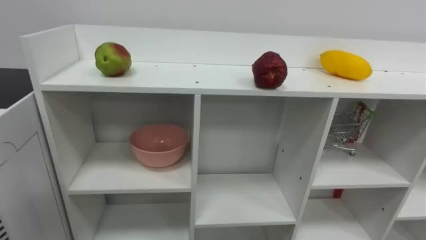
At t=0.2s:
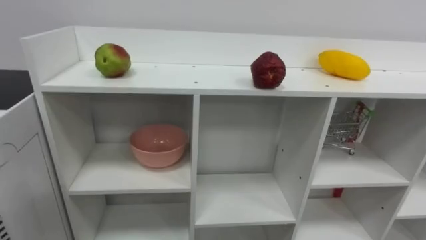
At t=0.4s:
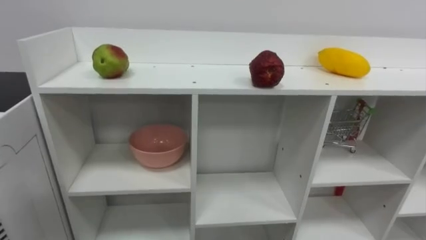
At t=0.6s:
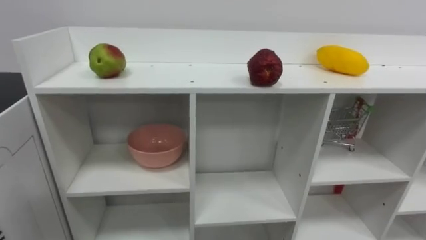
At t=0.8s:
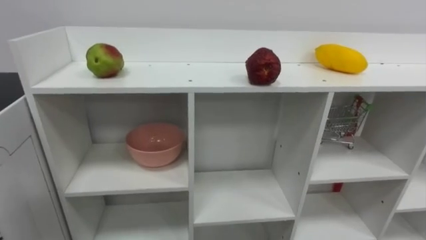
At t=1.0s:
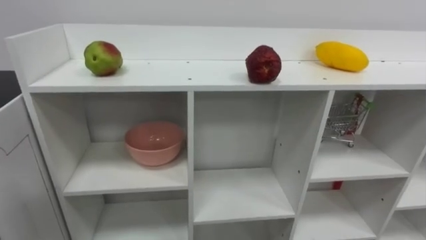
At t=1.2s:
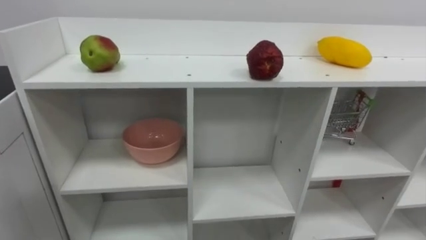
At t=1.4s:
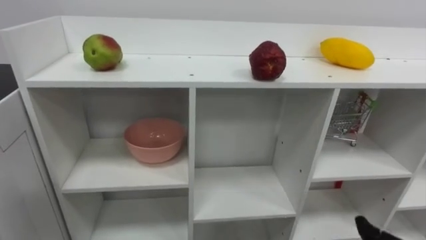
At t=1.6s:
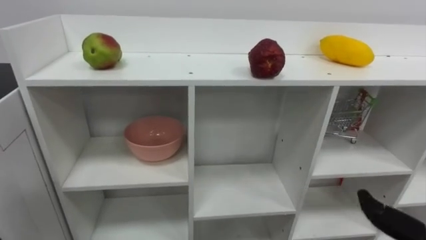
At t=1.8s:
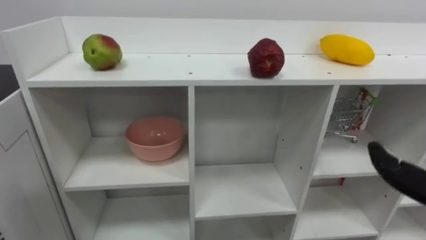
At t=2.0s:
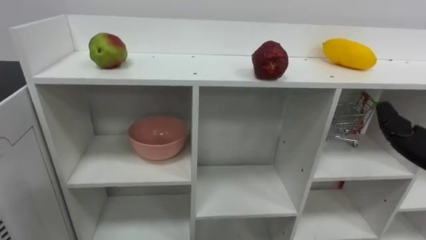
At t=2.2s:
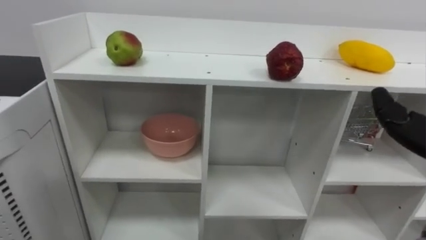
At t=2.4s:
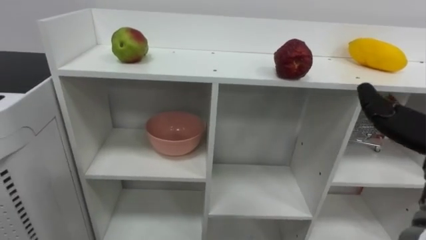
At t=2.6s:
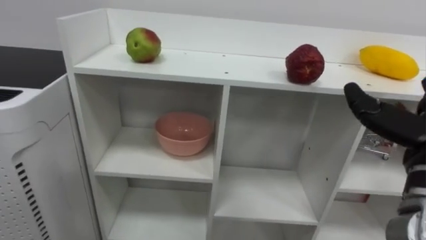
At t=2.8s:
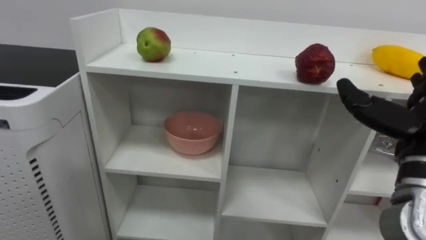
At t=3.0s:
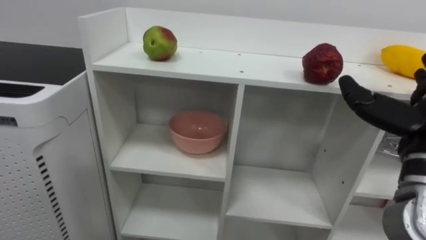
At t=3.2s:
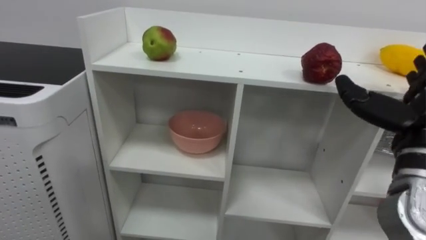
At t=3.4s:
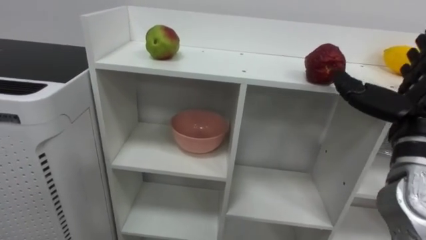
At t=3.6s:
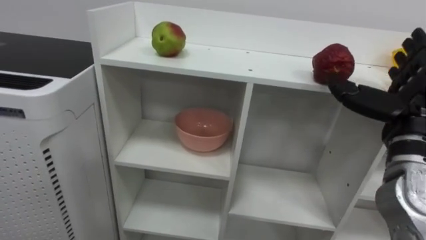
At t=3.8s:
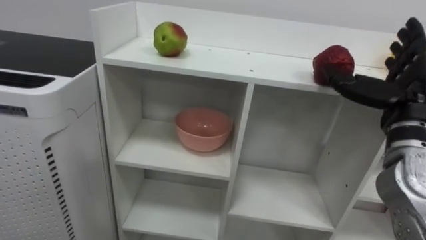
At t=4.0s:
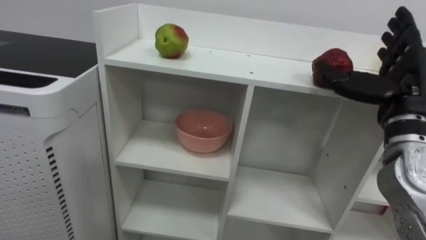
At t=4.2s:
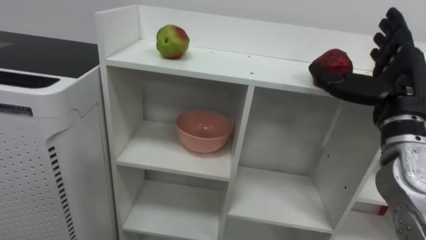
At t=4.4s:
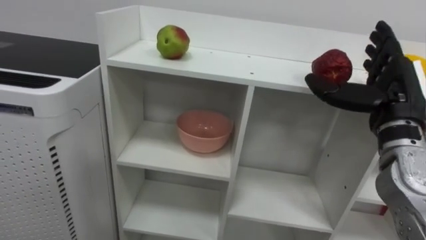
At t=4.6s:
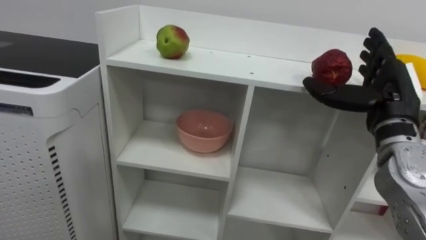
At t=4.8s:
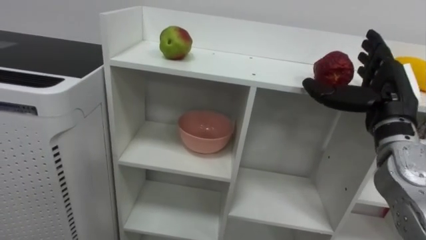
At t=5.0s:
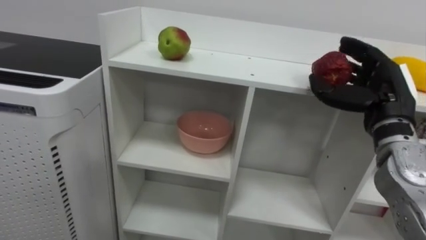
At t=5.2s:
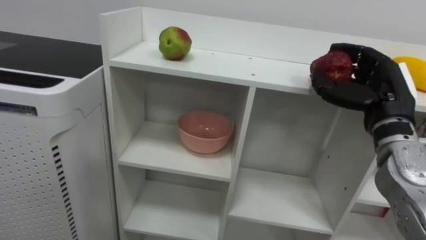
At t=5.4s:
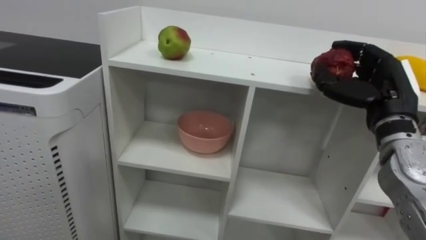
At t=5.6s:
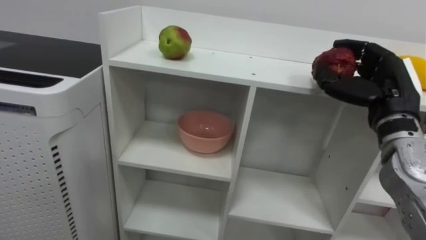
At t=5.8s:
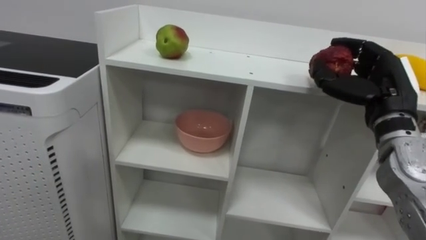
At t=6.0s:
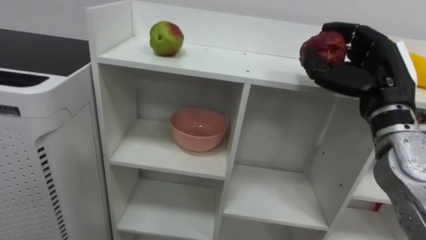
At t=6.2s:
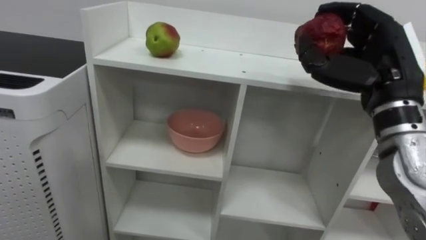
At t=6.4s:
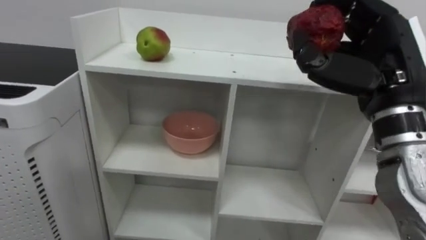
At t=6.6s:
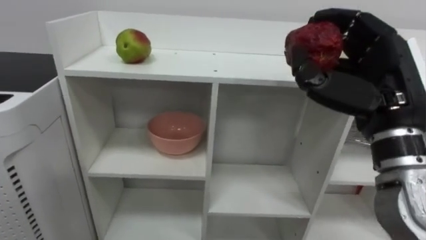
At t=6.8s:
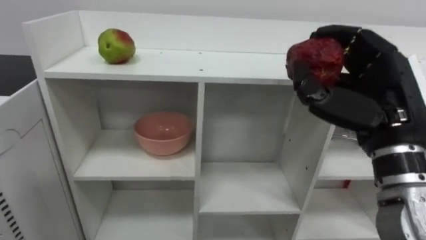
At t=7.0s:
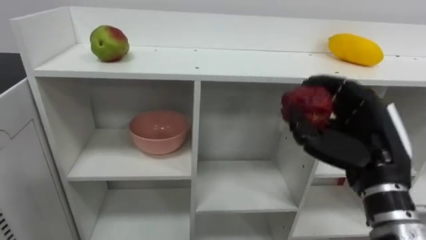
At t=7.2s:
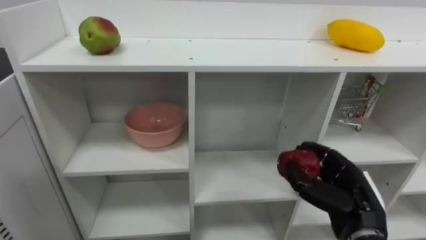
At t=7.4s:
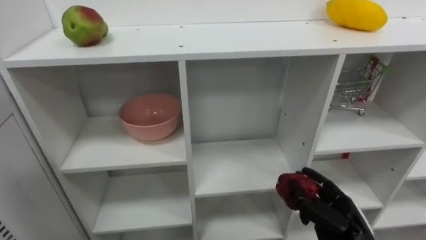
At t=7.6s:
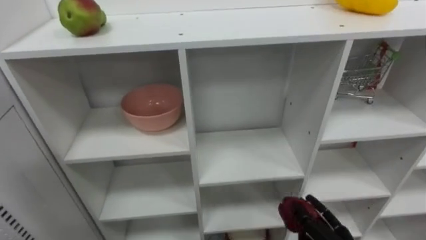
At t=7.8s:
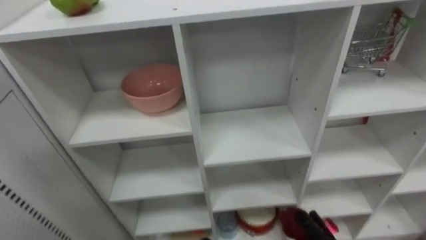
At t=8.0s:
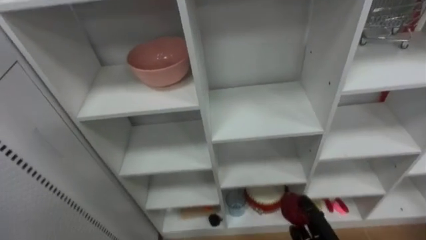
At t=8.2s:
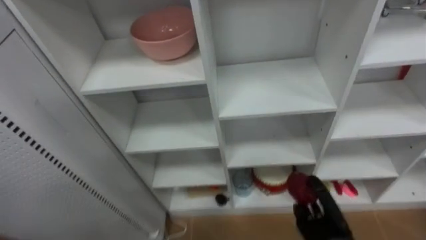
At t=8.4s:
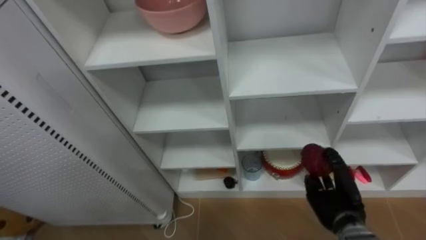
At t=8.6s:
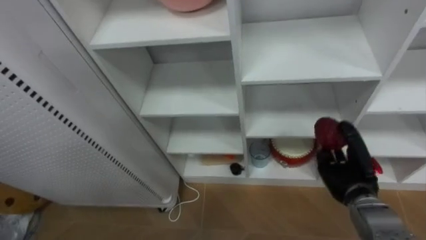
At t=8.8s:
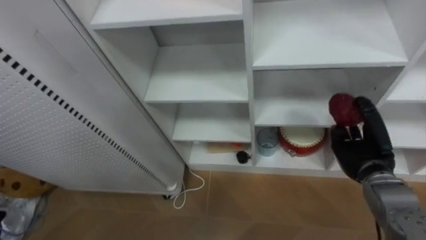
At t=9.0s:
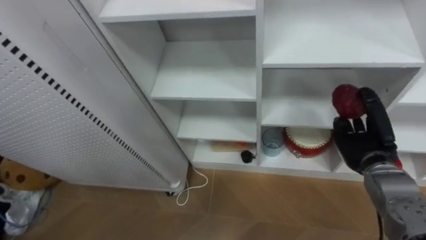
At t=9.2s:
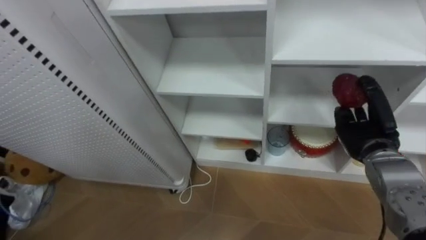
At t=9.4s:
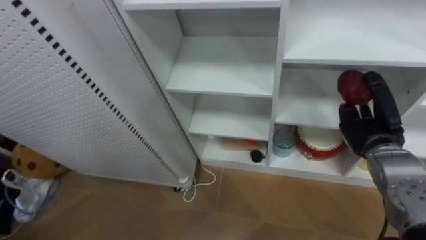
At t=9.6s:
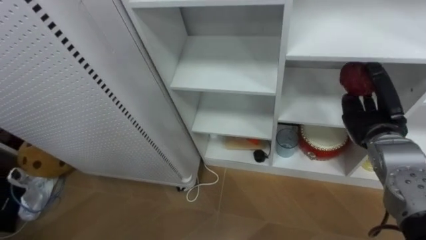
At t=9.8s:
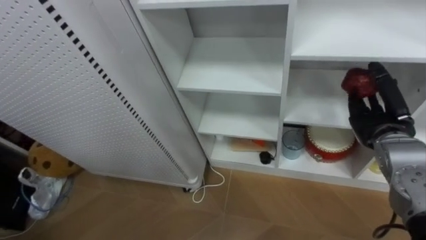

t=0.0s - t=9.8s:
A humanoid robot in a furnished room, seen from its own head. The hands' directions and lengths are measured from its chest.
Task of the whole recording: Put the apple in the cell in the second column from the left and the second row from the top.
t=2.8s - t=4.2s: The right hand is displaced forward by approximately 5 cm.
t=4.2s - t=5.6s: The right hand closes up.
t=5.6s - t=7.0s: The right hand travels backward by about 10 cm, and reaches roughly 5 cm upward, then returns.
t=8.4s - t=9.8s: The right hand is displaced upward and to the right by approximately 15 cm.

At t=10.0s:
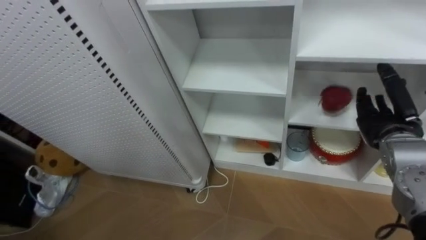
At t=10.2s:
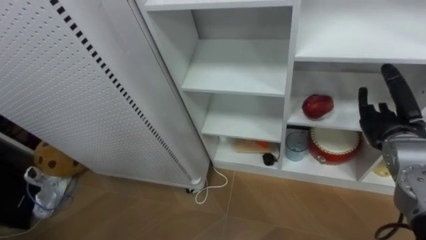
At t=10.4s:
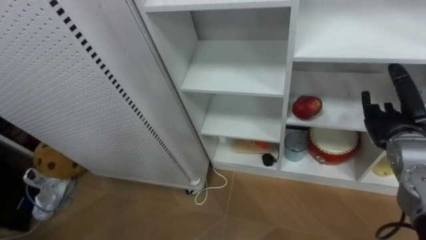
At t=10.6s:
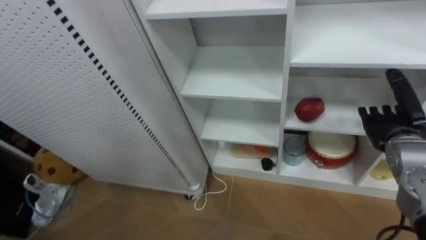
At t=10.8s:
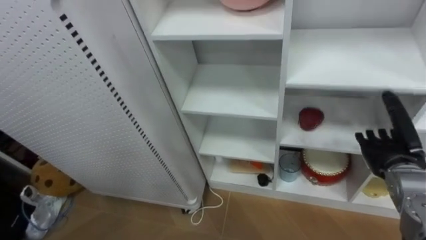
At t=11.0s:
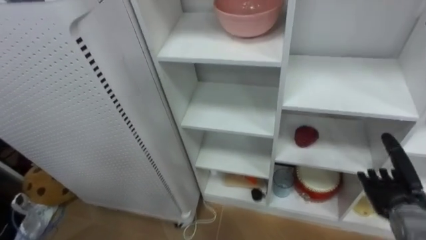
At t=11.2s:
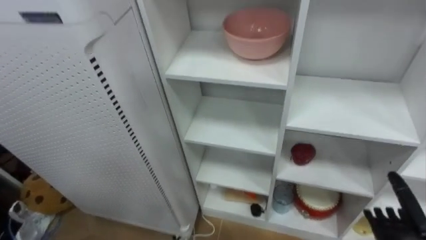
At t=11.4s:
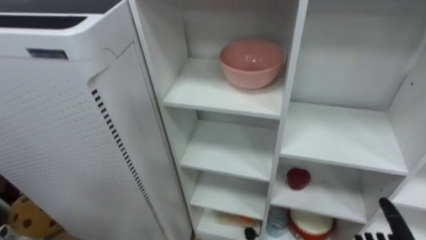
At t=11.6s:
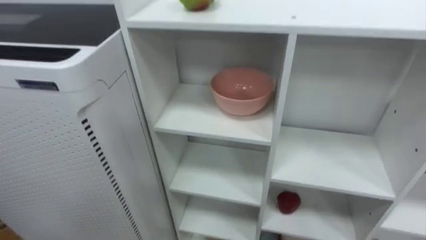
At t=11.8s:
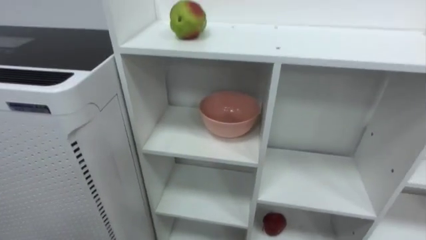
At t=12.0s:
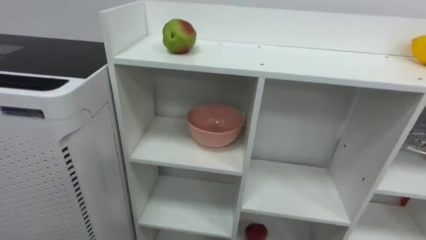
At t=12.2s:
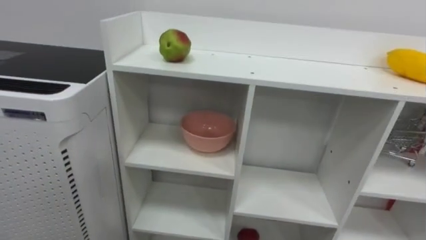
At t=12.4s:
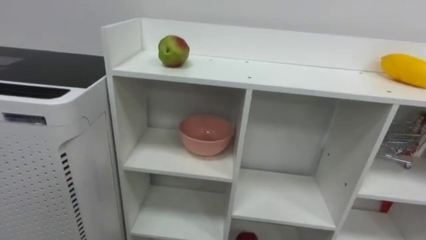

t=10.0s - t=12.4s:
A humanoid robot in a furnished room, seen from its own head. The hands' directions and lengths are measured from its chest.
Task of the whole recording: Put the apple in the cell in the second column from the left and the second row from the top.
t=10.0s - t=11.2s: The right hand is displaced downward and backward by about 20 cm, and opens its fingers.

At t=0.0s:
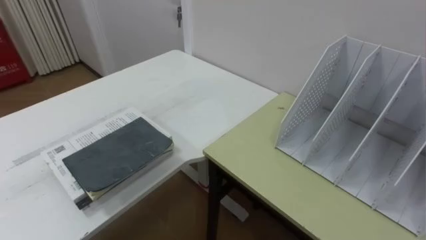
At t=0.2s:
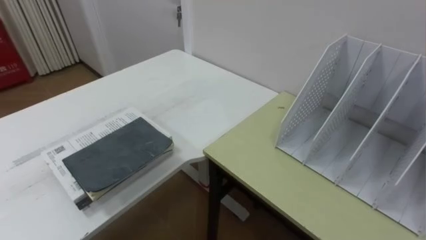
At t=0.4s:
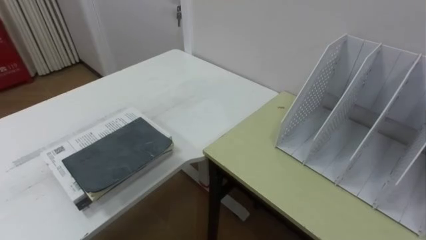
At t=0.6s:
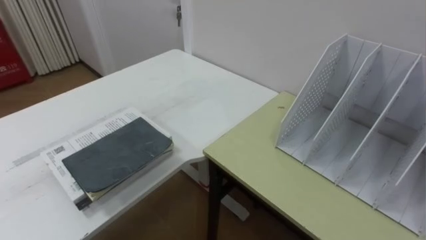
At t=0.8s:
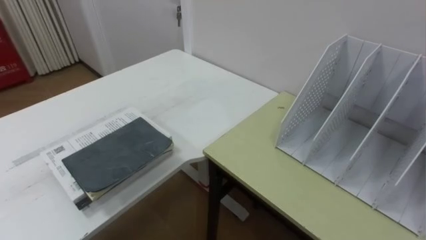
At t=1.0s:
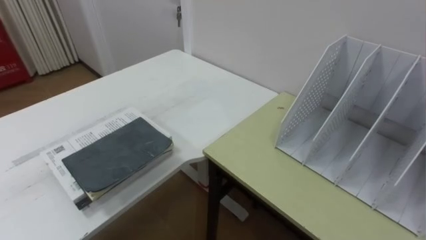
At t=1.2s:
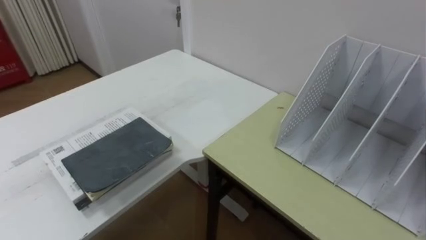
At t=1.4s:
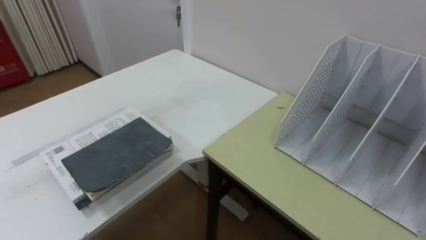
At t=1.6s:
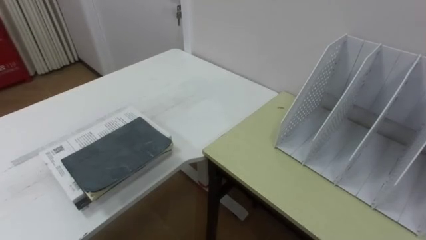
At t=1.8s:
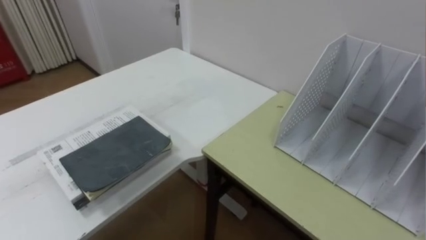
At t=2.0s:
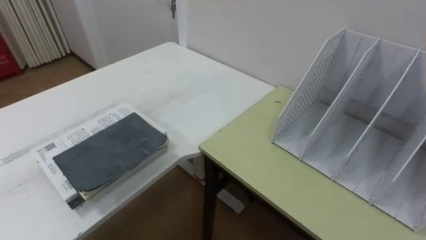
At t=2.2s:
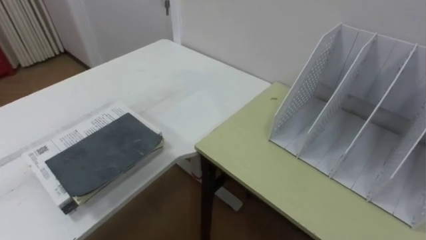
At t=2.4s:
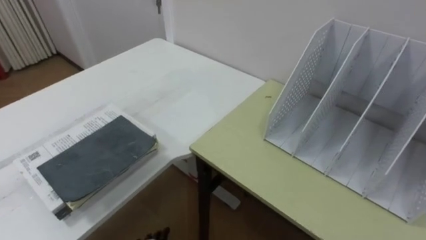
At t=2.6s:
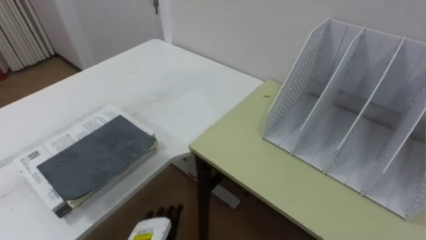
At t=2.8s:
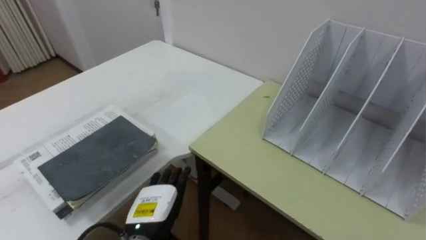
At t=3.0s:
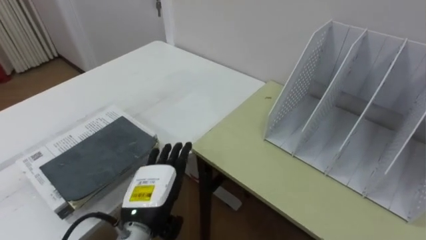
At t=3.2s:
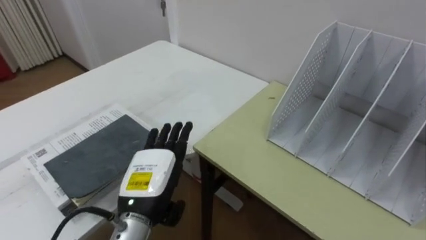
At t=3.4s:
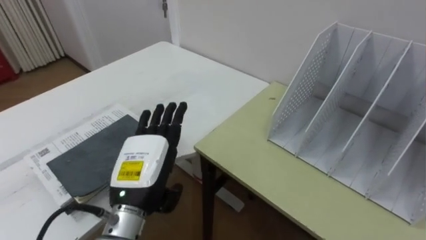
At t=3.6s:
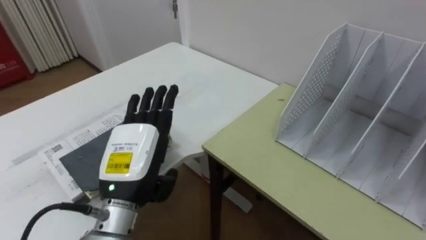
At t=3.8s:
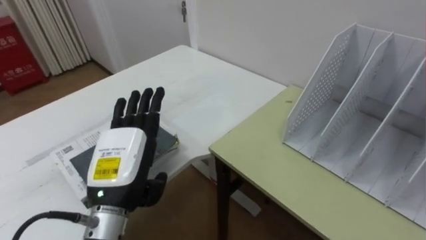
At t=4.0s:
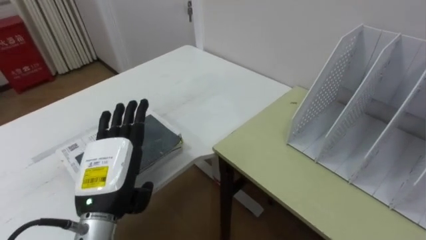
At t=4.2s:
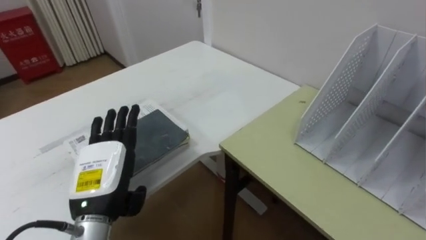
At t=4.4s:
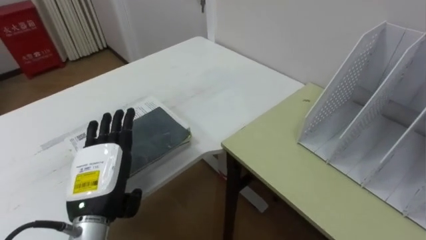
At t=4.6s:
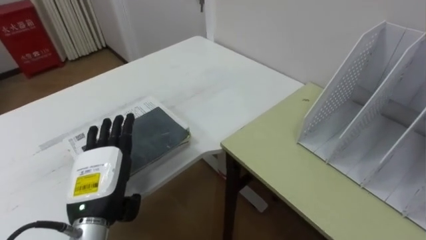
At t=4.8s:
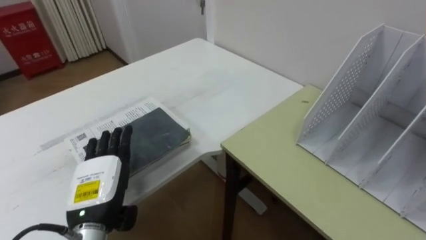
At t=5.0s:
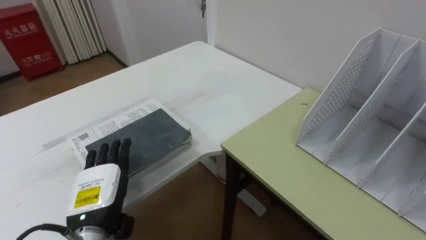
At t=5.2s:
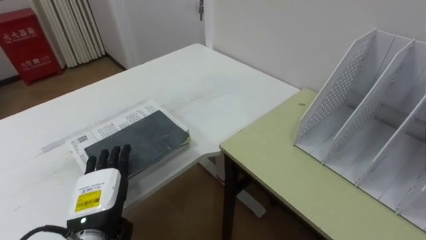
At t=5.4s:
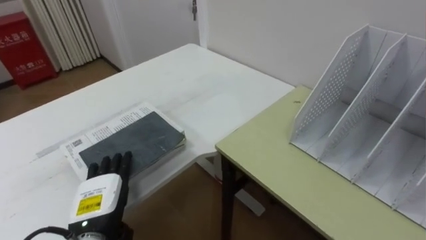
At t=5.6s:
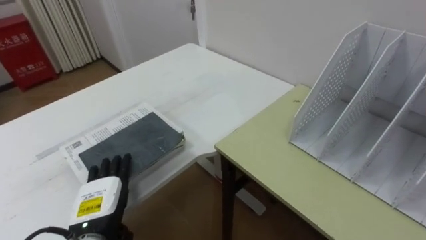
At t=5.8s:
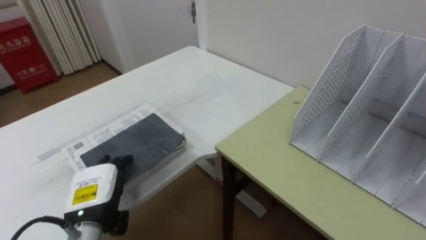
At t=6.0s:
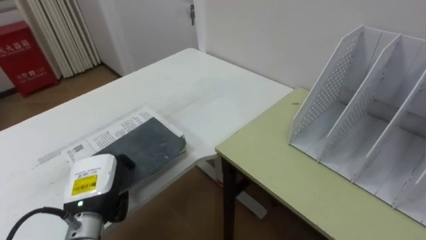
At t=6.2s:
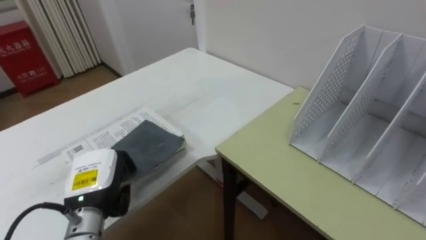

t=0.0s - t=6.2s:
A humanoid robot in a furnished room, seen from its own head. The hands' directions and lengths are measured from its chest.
Task of the whole recording: Put the books on the table onto the bookshelf.
t=3.2s - t=4.6s: The left hand heads to the left, covering approximately 10 cm.
t=4.6s - t=6.2s: The left hand closes up.
